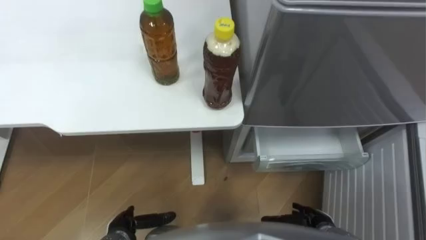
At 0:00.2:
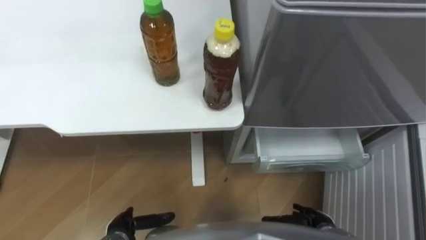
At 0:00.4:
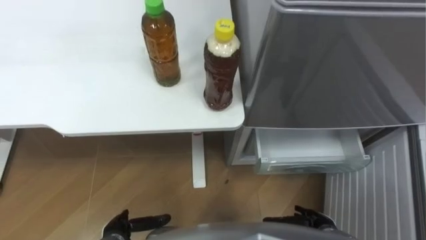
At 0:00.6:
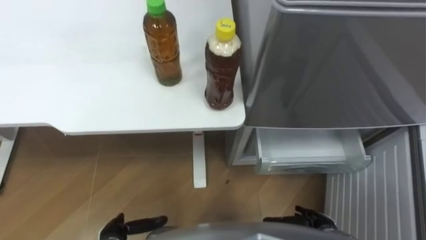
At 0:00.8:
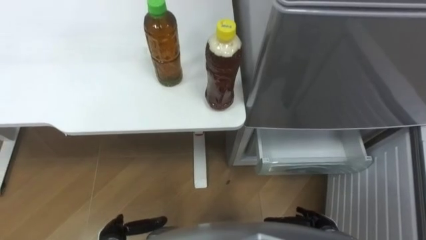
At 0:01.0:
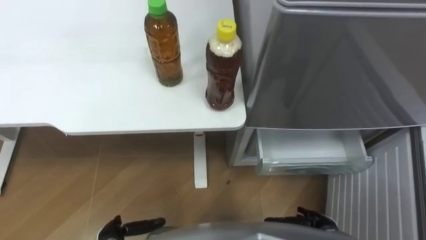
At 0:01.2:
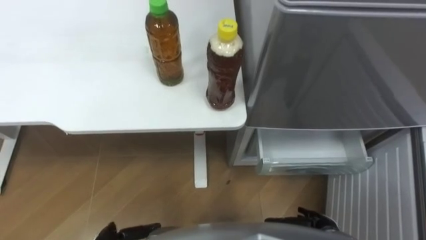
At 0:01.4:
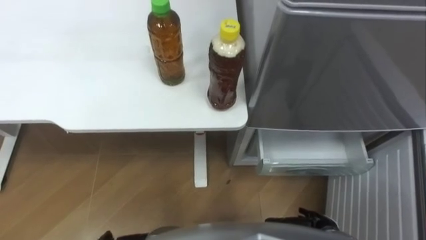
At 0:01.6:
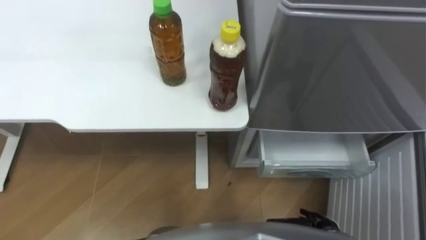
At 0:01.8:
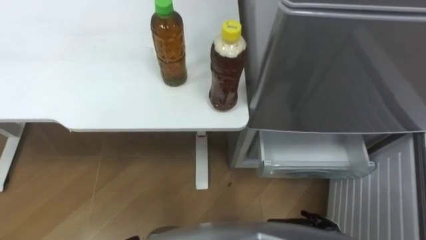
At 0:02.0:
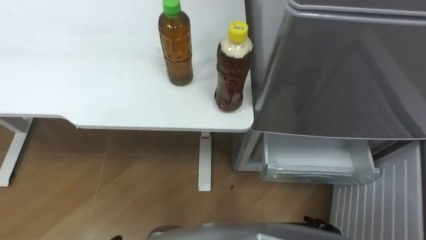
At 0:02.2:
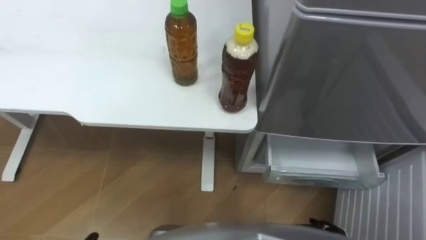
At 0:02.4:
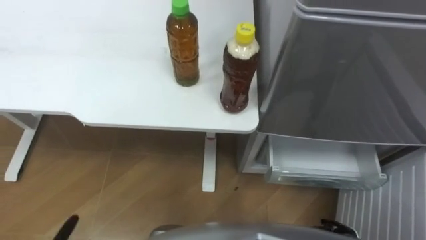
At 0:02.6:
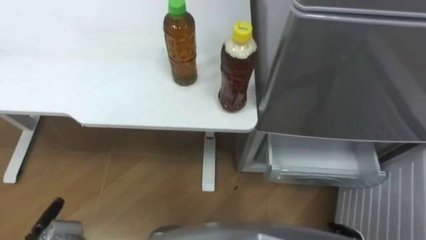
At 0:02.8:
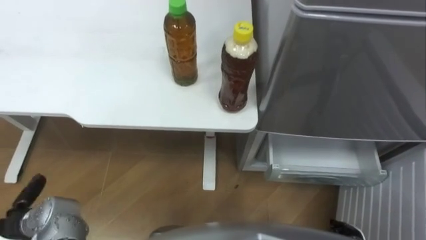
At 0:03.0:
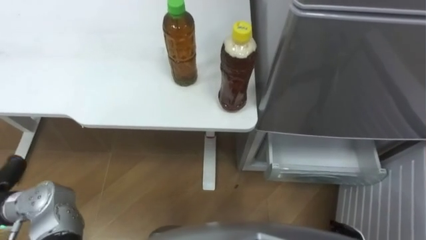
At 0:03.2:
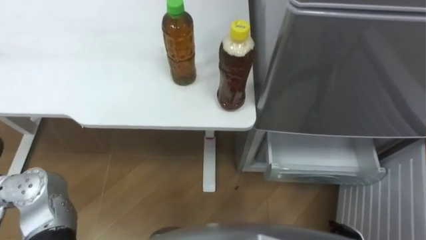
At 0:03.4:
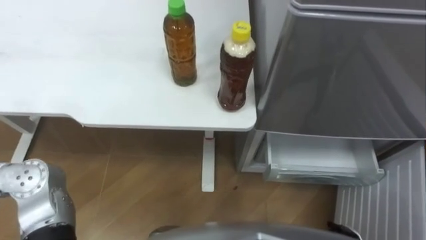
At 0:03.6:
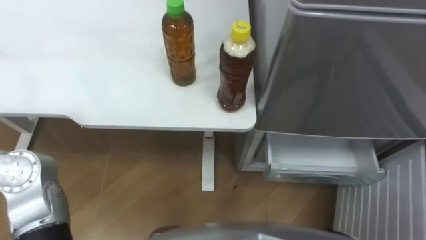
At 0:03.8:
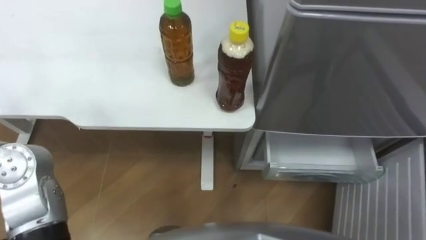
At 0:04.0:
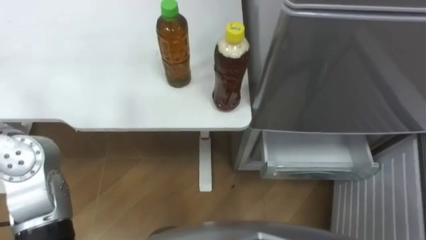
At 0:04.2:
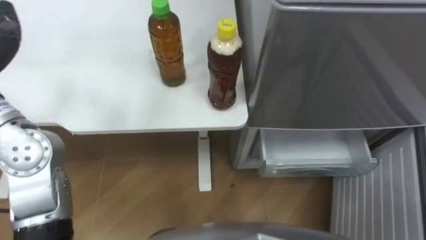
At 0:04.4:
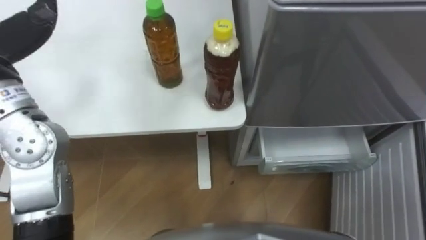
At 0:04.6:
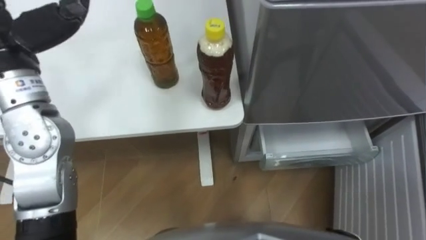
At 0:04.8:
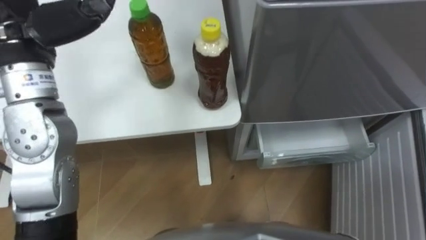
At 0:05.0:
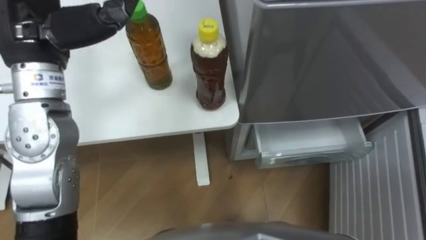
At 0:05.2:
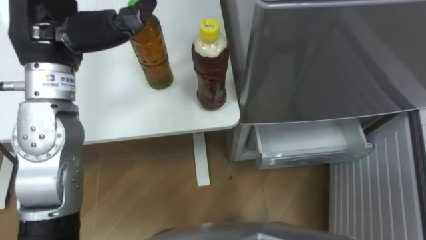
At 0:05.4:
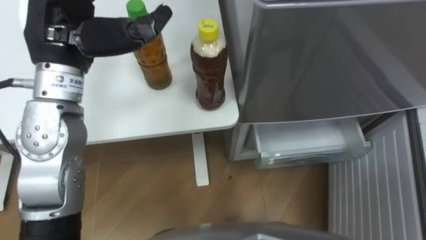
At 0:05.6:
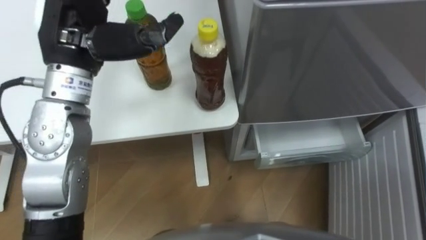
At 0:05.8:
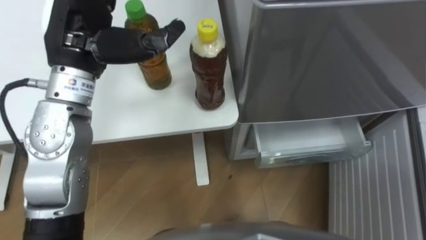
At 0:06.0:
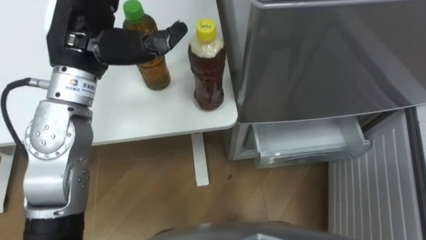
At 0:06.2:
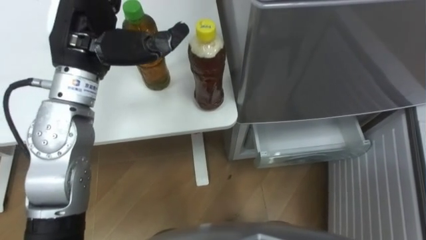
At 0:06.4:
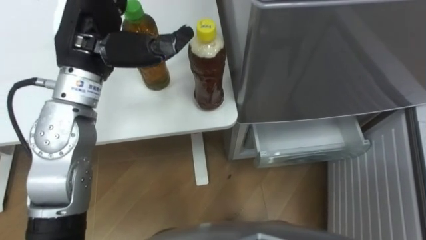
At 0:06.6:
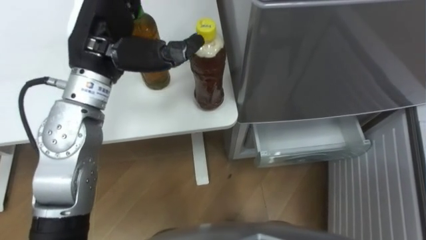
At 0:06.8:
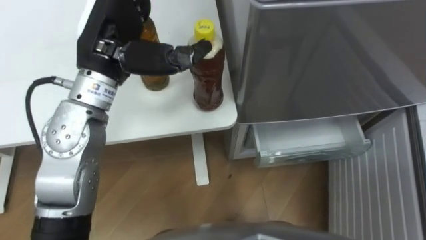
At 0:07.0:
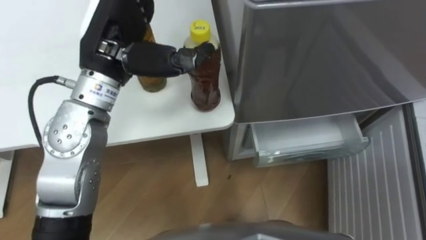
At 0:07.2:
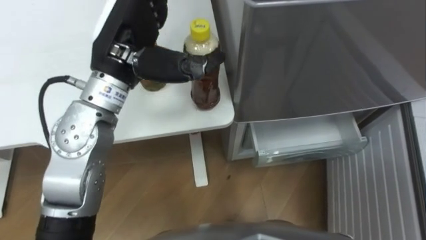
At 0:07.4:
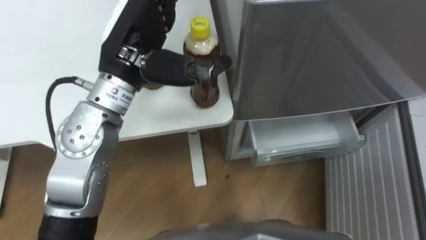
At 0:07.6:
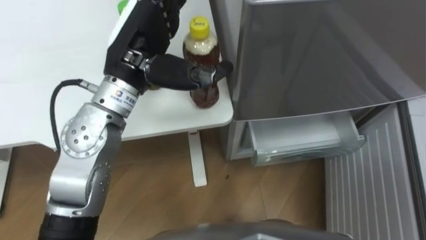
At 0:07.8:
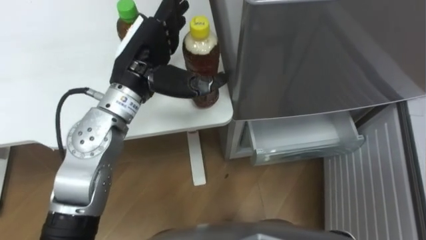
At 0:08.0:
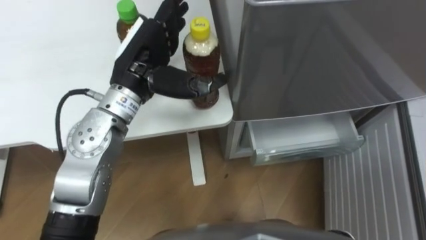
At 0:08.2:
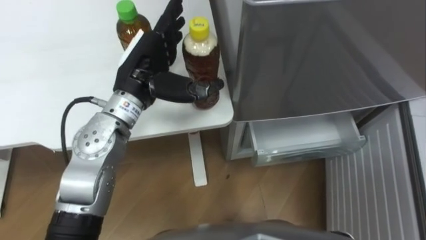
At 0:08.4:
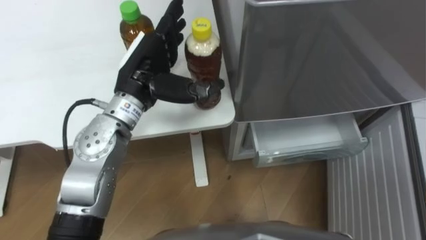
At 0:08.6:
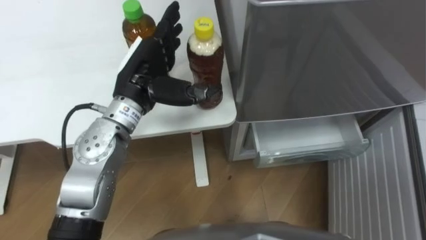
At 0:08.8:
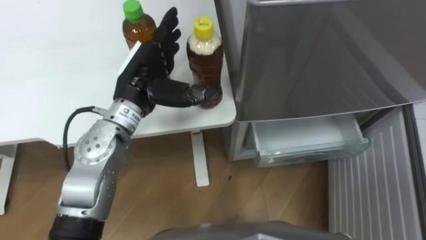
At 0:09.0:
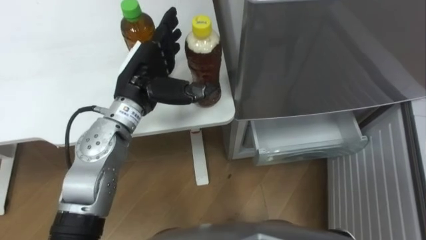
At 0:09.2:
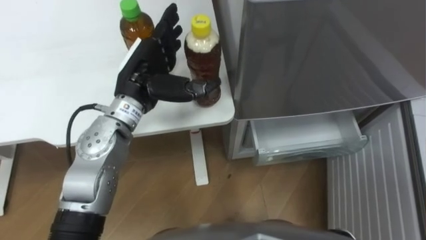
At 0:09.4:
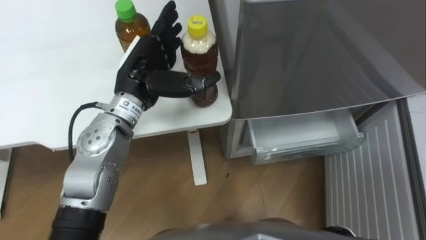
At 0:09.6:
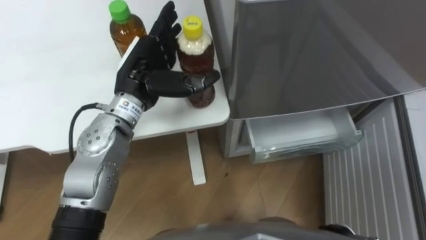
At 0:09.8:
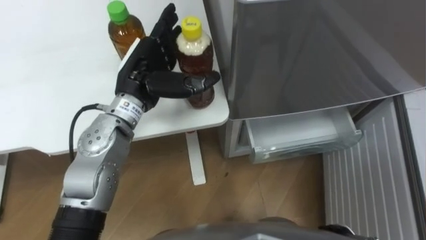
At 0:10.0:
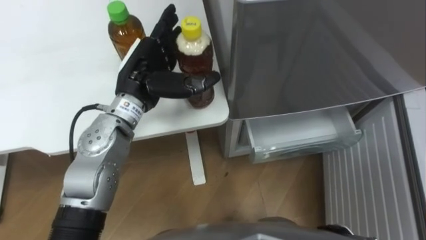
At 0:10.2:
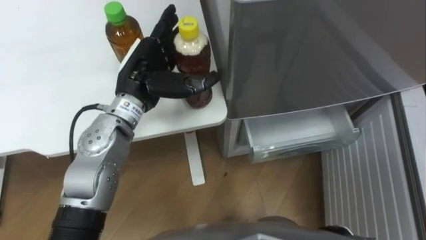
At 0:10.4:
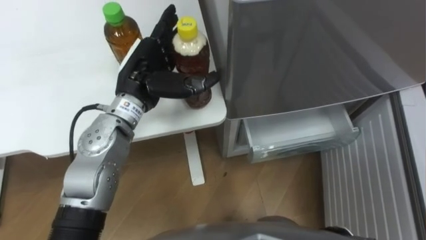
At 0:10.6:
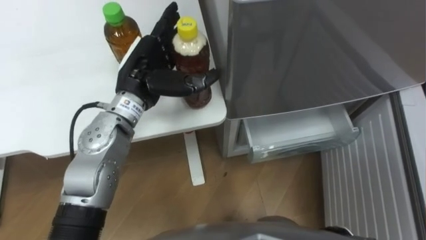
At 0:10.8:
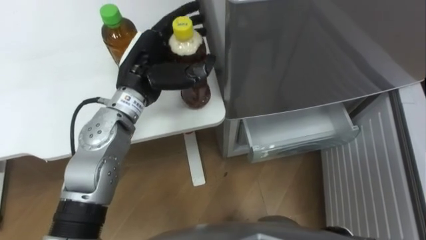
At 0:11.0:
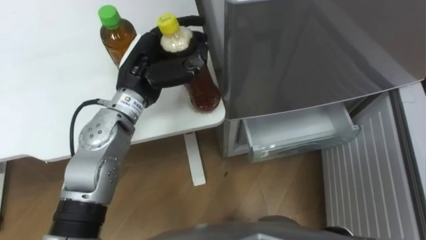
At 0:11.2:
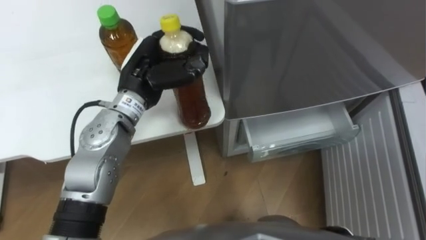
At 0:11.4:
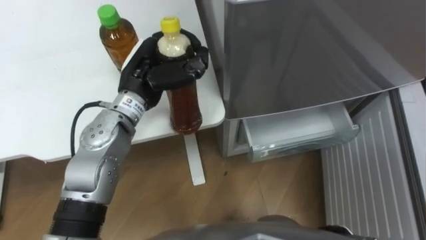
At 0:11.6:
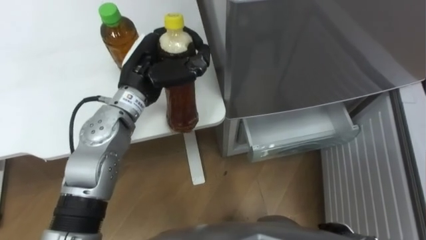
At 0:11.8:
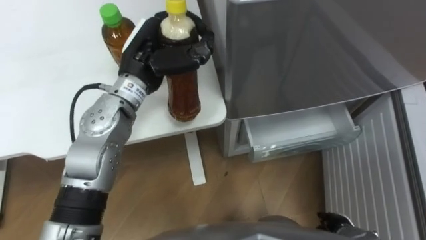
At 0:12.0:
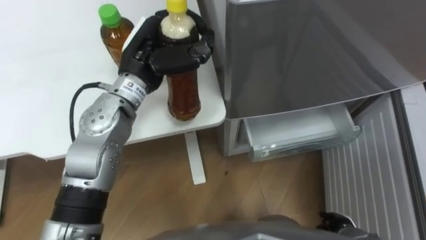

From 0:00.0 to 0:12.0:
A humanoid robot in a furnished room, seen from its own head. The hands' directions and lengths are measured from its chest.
Task of the whole recording: Place the drink on the table on the bottom shelf of the refrigerator, then close the drawer and the refrigerator door.
From 0:06.0 to 0:07.6: The left hand moves to the right, approximately 5 cm.
From 0:07.6 to 0:09.0: The left hand travels downward by about 10 cm.
From 0:10.4 to 0:12.0: The left hand closes its fingers.

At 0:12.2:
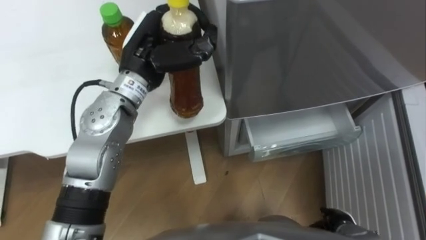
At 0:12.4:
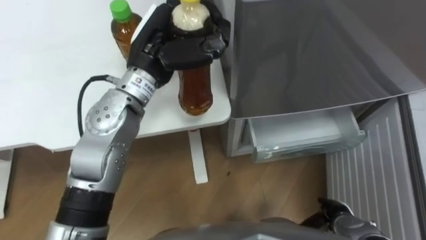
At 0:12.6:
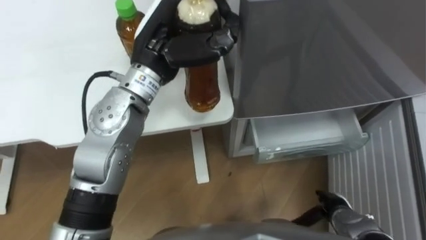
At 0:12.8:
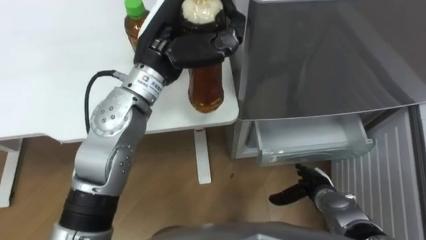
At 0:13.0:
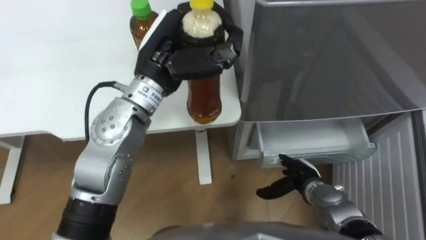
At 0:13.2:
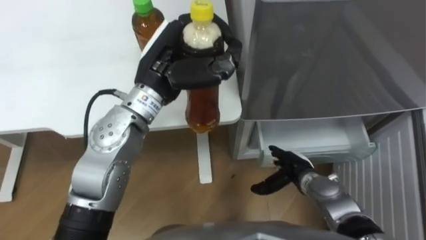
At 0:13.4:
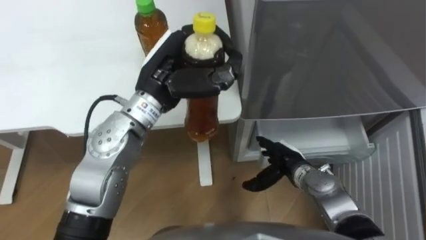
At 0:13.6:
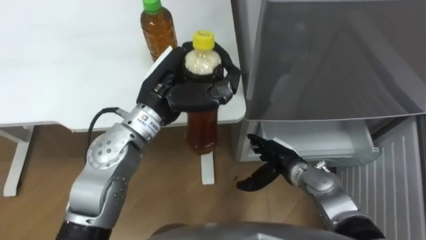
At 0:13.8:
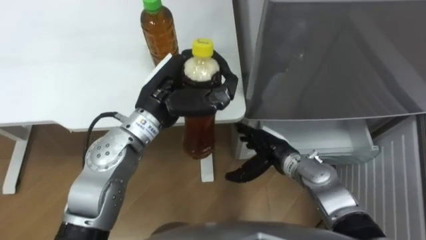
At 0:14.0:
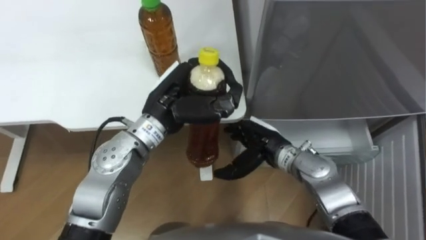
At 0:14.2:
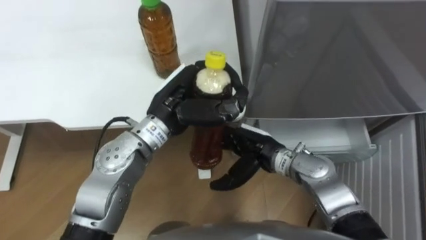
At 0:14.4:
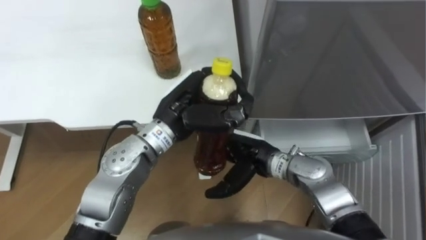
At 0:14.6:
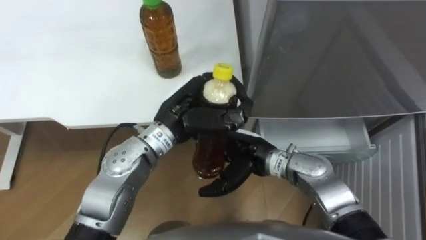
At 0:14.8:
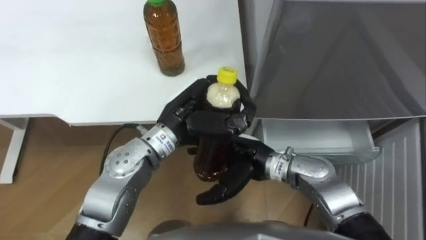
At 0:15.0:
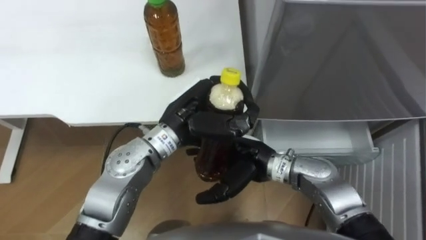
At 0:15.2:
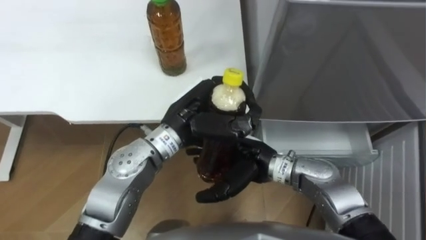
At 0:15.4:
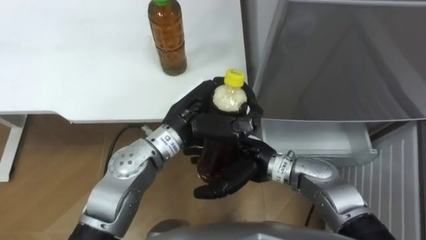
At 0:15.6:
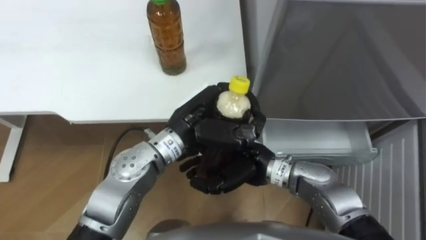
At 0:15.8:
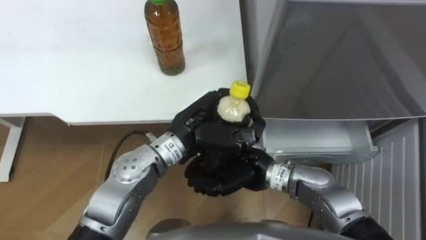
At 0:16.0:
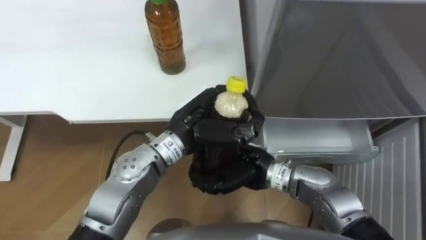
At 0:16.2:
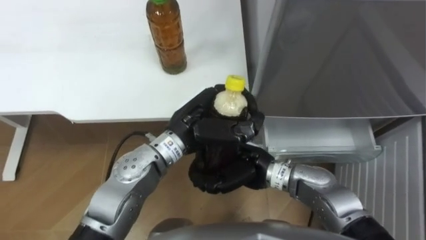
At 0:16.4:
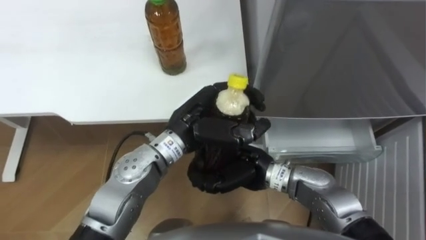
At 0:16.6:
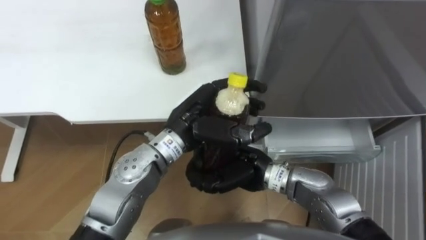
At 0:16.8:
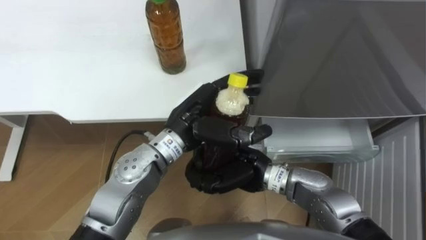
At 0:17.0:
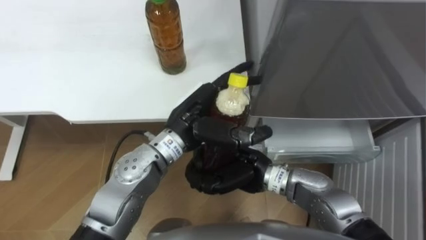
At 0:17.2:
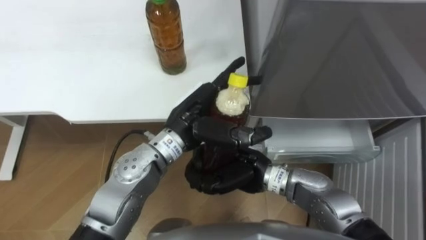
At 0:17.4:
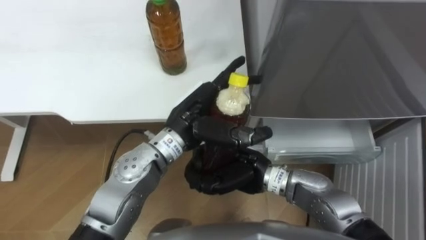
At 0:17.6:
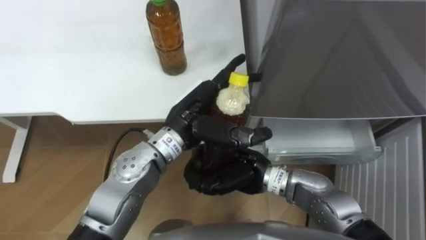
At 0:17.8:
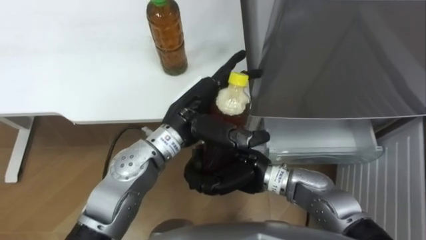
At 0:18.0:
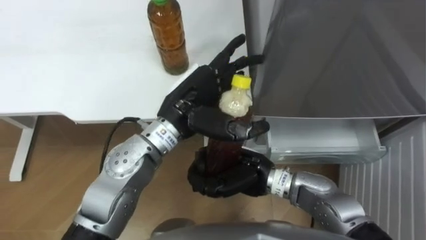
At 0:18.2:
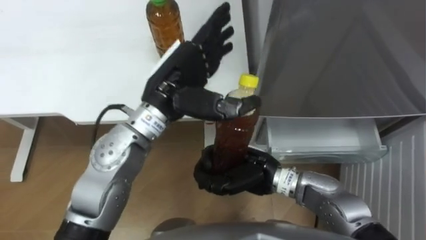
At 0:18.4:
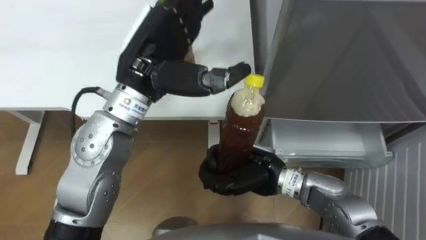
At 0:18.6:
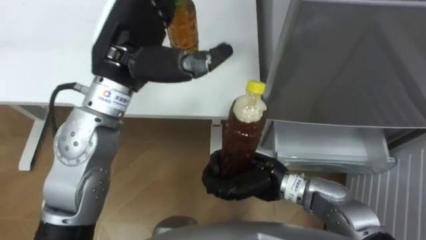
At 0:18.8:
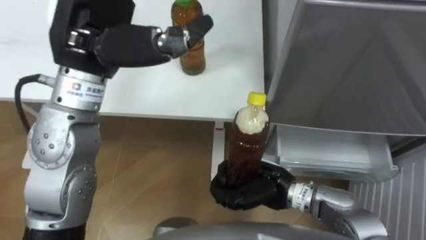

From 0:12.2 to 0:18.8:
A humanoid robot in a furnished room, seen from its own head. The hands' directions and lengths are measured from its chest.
Task of the whole recording: Place the drink on the table on the bottom shelf of the refrigerator, then close the drawer and the refrigerator door.
From 0:12.2 to 0:13.8: The left hand heads backward, covering approximately 5 cm. Meanwhile the right hand heads forward, to the left and upward, covering approximately 25 cm.
From 0:13.8 to 0:15.4: The left hand ends up some 5 cm from where it was. Meanwhile the right hand shifts roughly 10 cm to the left and upward.
From 0:15.4 to 0:17.2: The right hand closes up. The left hand opens.
From 0:17.2 to 0:18.8: The right hand heads to the right, covering some 5 cm, while the left hand travels upward and to the left by about 20 cm.
